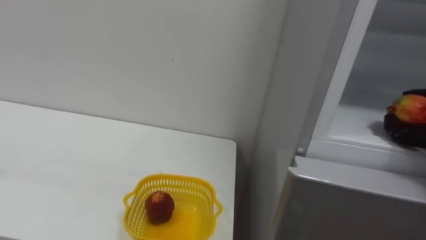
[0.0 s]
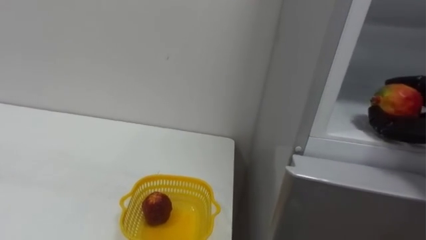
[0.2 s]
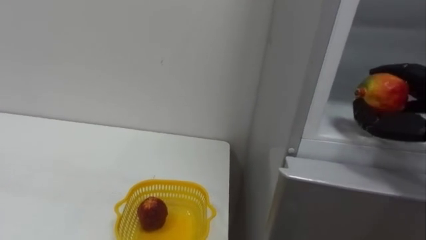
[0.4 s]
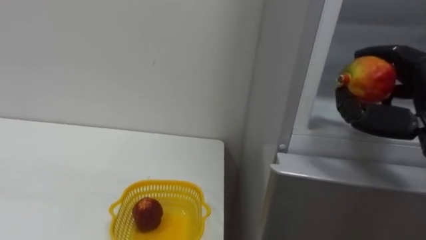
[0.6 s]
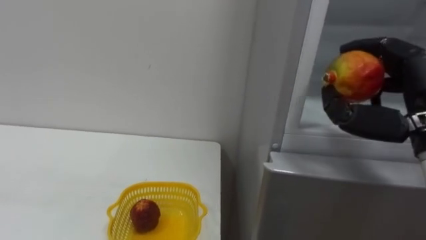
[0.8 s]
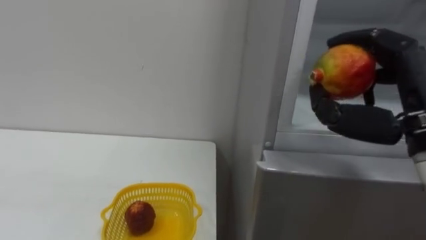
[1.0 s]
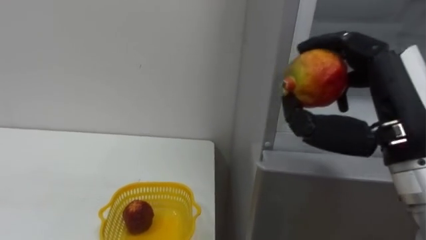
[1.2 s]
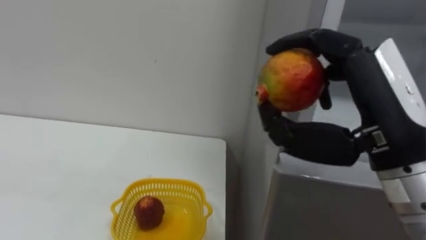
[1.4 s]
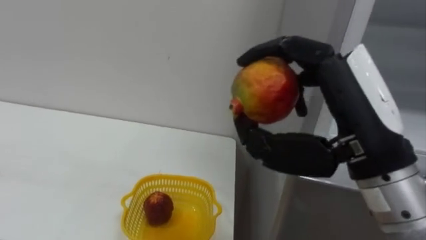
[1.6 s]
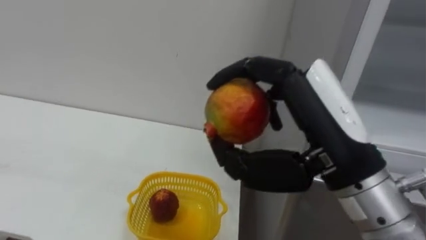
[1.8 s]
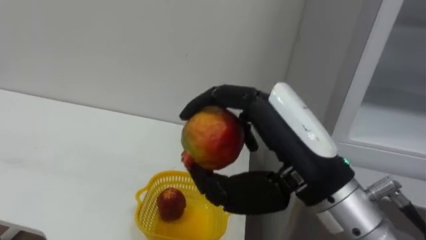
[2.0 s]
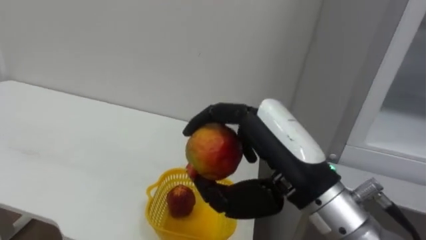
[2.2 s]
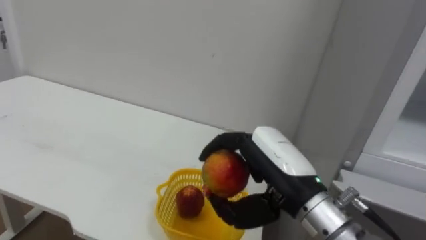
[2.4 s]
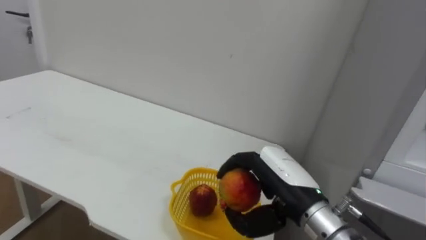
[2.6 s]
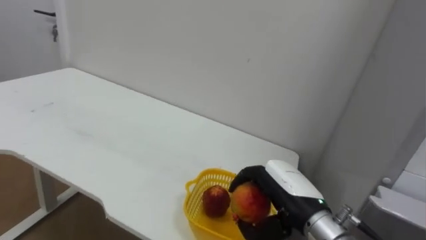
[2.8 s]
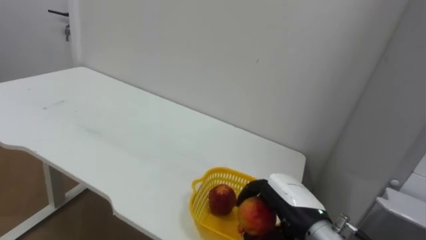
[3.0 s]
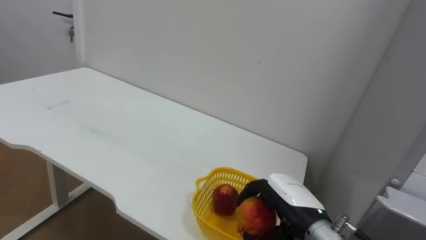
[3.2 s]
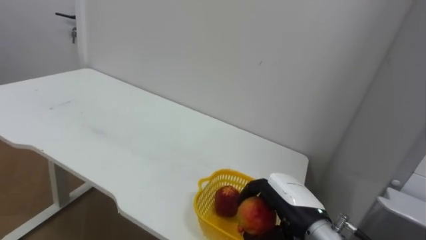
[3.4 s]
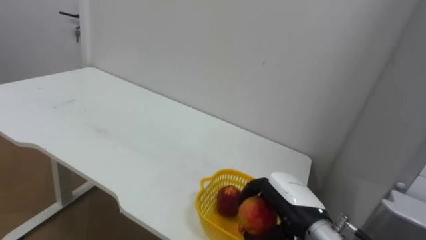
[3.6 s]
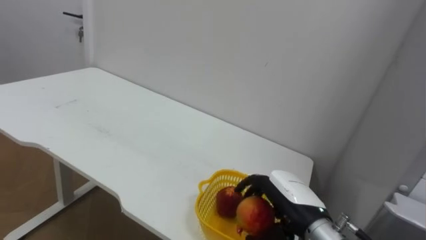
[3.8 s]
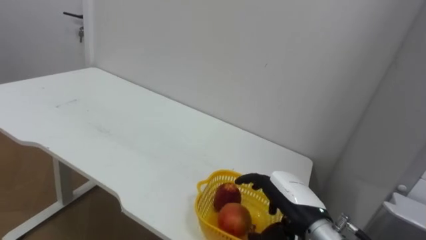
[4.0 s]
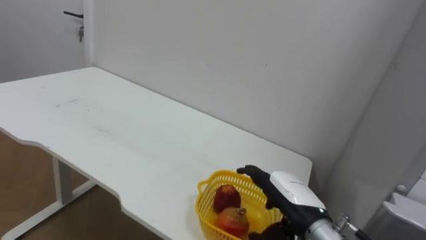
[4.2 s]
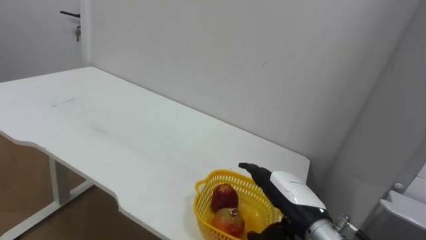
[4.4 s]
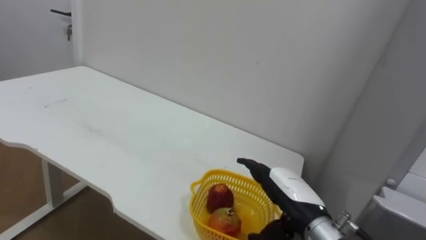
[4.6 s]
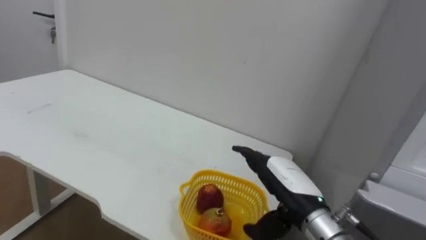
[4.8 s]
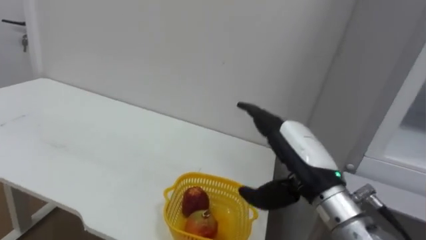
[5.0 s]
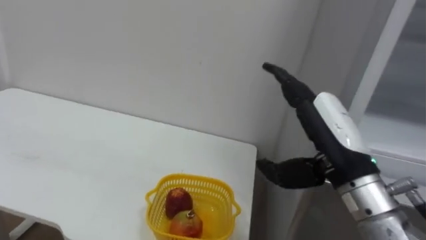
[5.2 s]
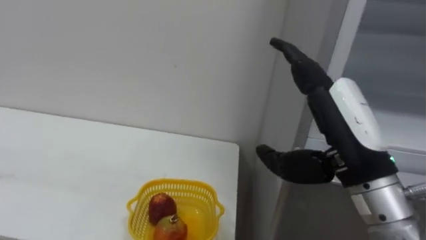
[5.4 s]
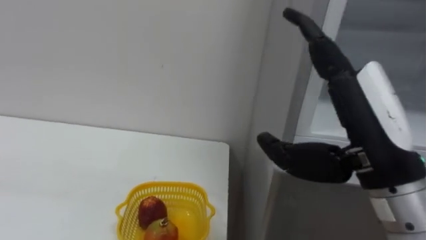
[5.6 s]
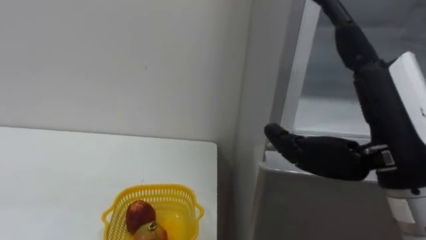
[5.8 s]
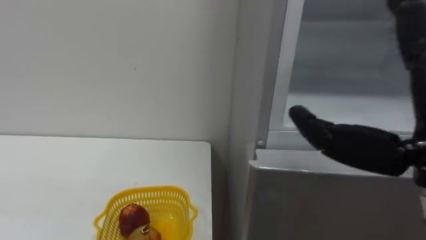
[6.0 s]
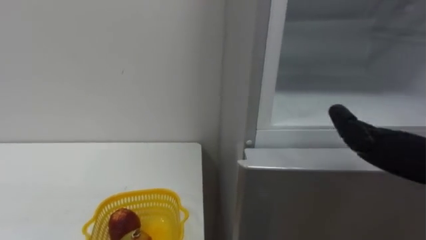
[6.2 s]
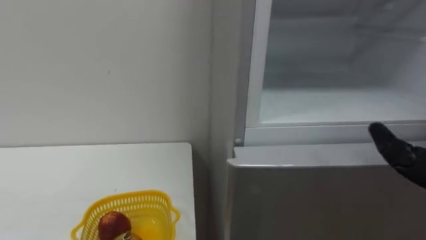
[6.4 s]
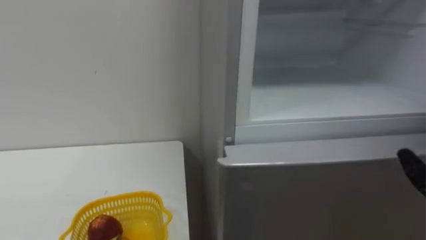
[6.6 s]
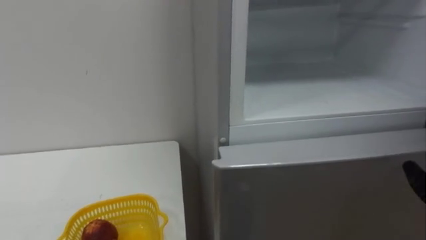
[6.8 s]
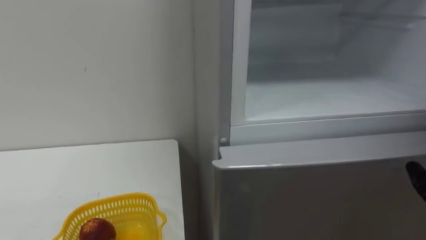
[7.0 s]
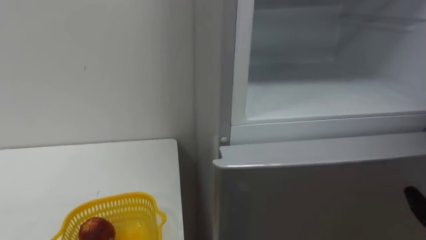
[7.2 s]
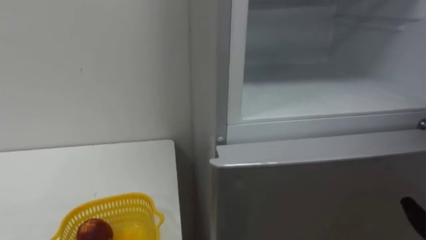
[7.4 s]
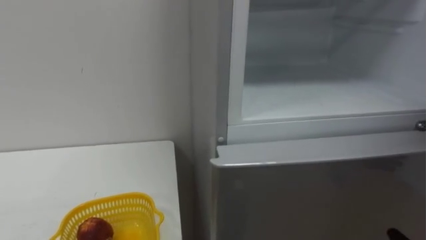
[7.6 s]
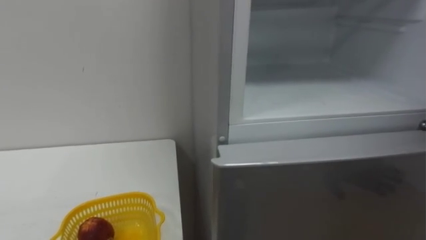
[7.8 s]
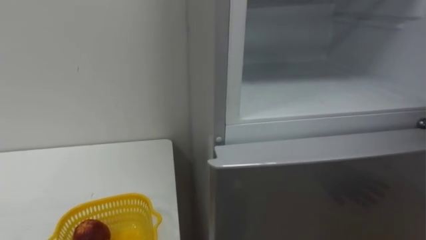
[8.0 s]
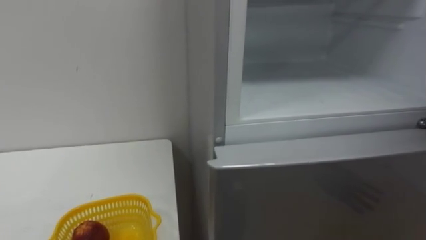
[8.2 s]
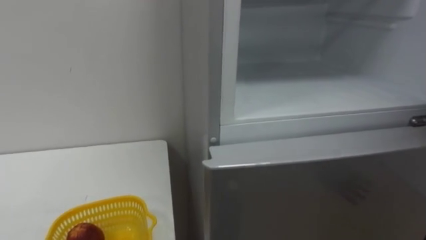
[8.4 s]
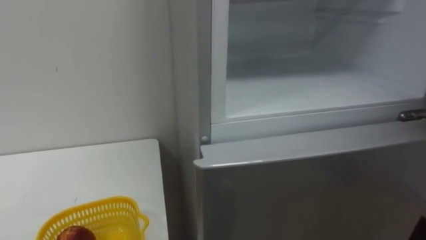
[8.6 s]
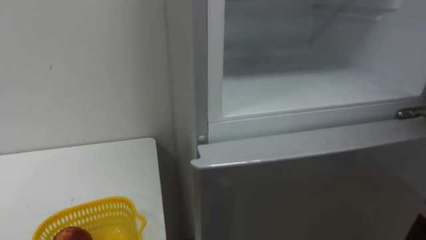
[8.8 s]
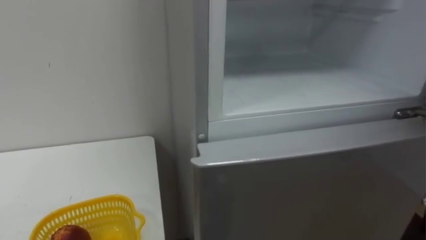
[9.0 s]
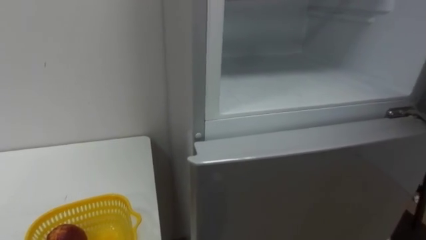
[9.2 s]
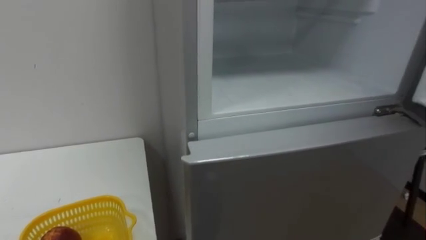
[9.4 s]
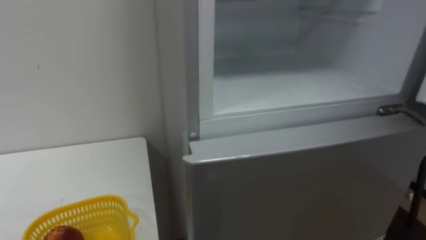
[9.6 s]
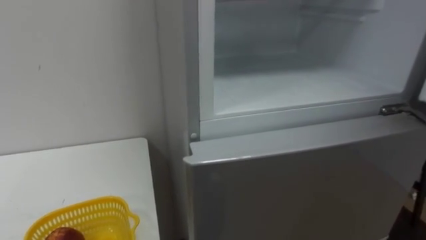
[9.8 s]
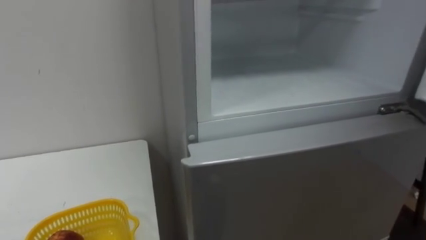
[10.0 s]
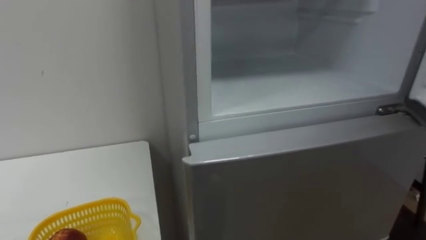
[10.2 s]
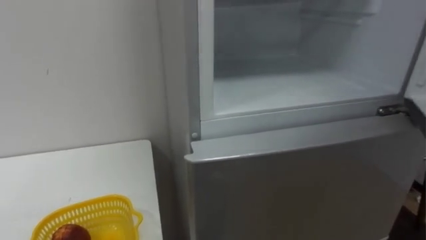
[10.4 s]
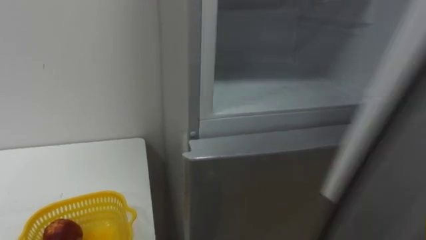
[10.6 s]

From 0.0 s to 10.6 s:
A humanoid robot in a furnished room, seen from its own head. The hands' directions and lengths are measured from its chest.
Task of the whole recording: Open the refrigerator door, take out the apple and the pomegranate, place them in the fruit basket on the left, and close the refrigerator door.
From 1.6 s to 3.0 s: The right hand travels downward by some 20 cm.
From 3.0 s to 4.6 s: The right hand opens its fingers.
From 4.6 s to 6.0 s: The right hand travels upward and backward by about 25 cm.

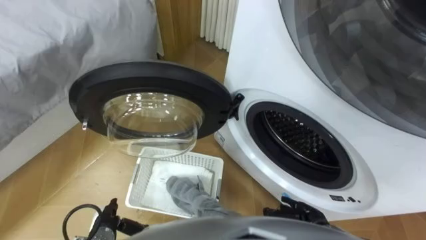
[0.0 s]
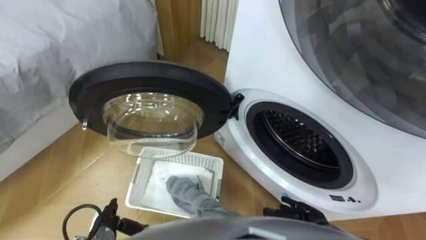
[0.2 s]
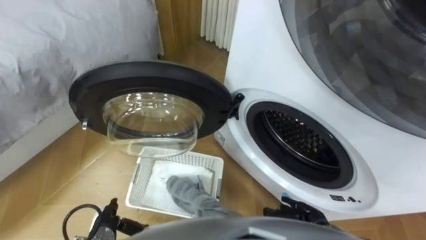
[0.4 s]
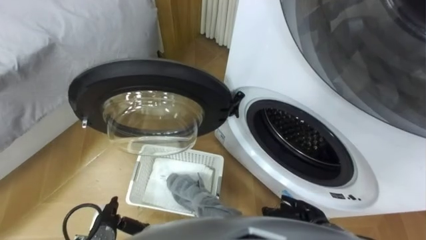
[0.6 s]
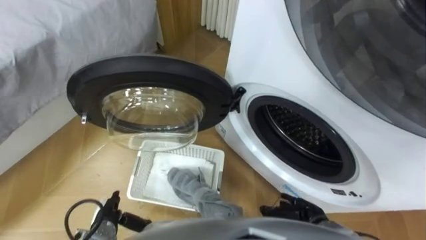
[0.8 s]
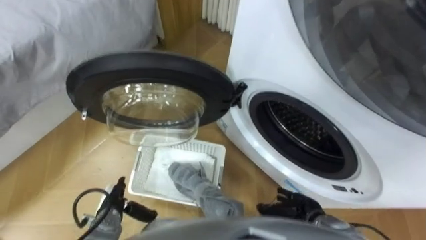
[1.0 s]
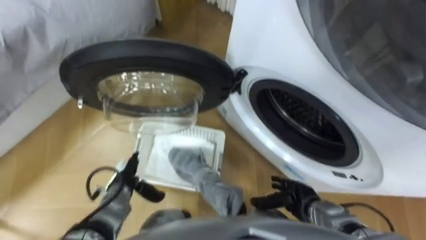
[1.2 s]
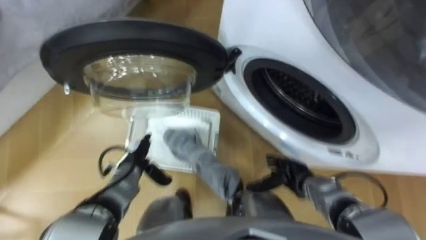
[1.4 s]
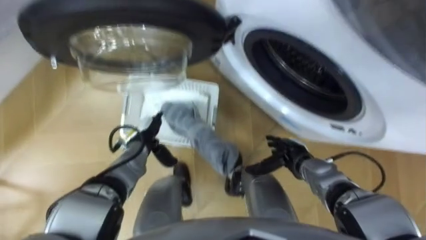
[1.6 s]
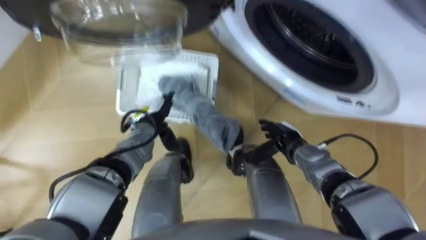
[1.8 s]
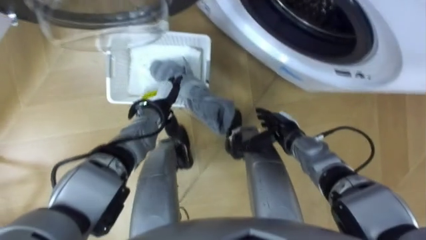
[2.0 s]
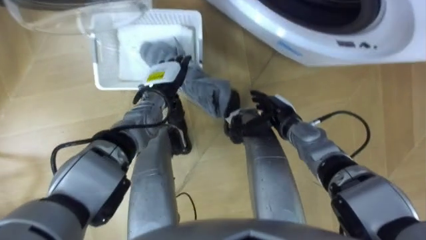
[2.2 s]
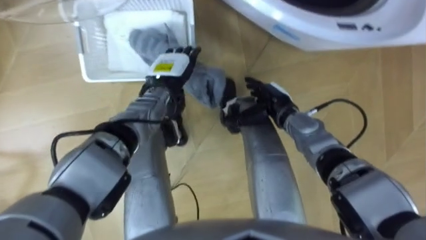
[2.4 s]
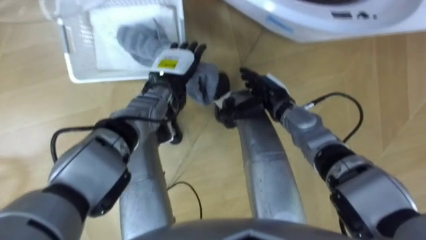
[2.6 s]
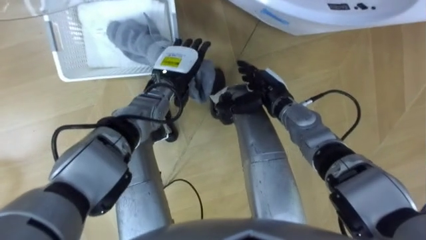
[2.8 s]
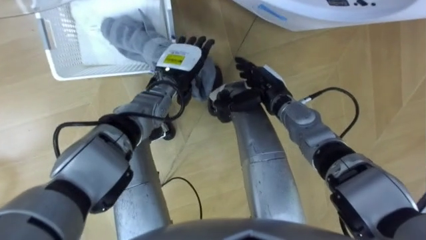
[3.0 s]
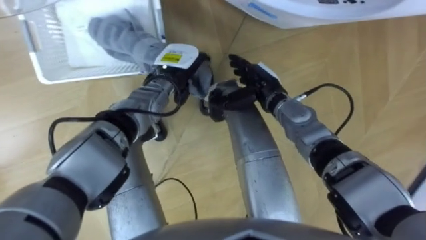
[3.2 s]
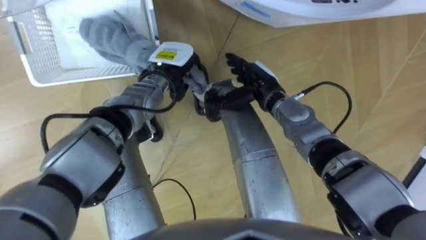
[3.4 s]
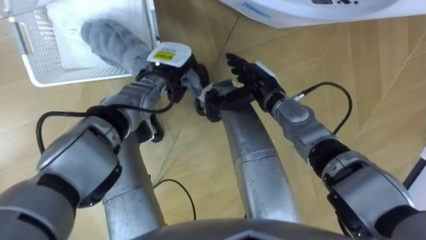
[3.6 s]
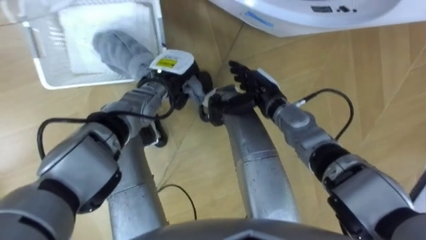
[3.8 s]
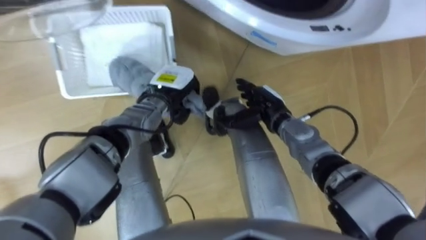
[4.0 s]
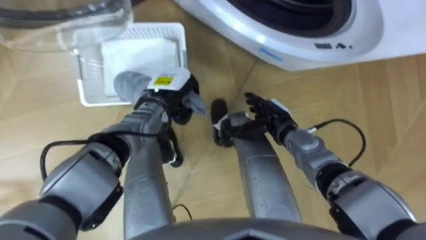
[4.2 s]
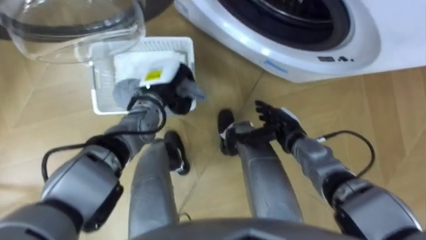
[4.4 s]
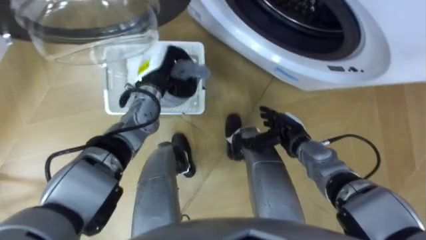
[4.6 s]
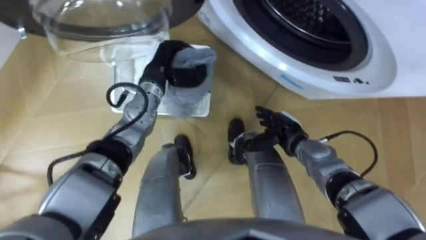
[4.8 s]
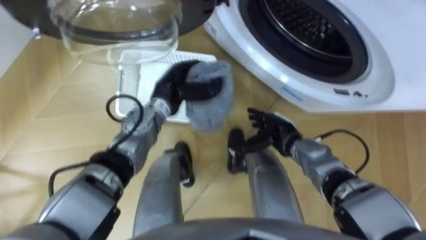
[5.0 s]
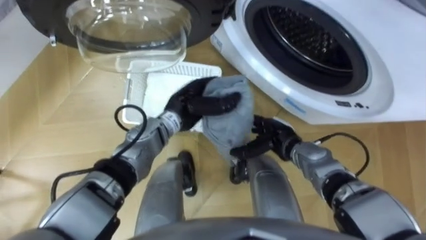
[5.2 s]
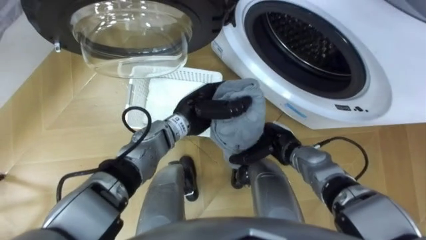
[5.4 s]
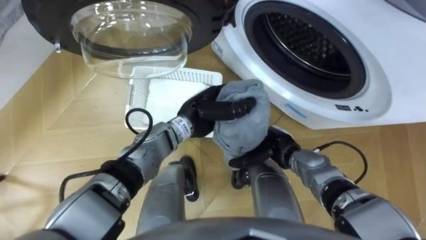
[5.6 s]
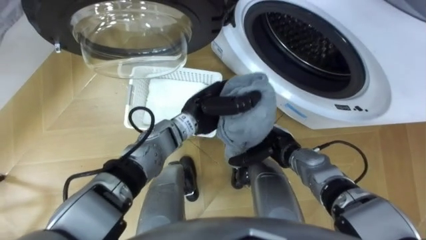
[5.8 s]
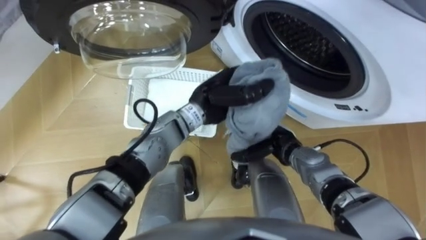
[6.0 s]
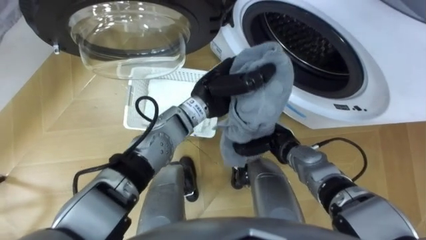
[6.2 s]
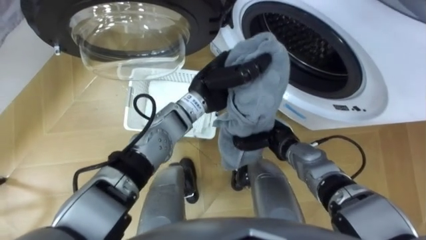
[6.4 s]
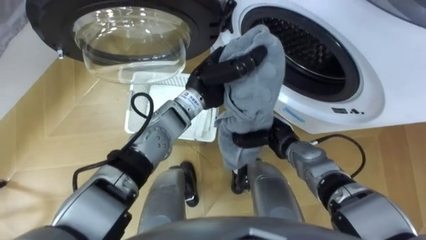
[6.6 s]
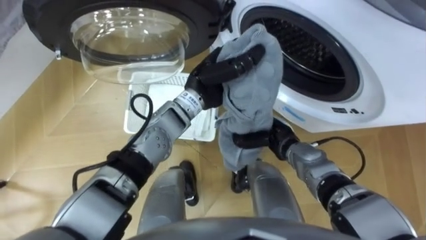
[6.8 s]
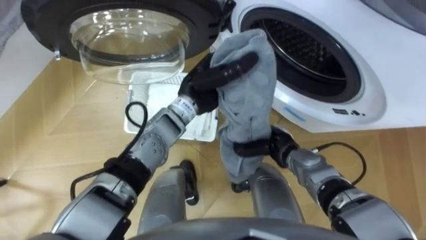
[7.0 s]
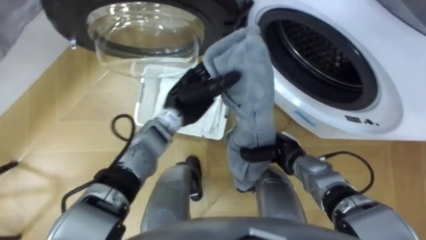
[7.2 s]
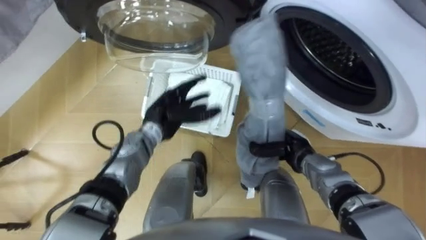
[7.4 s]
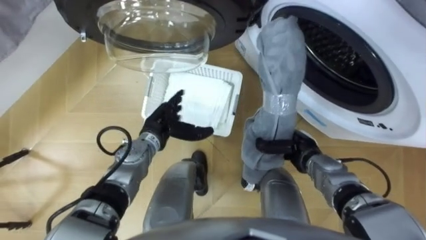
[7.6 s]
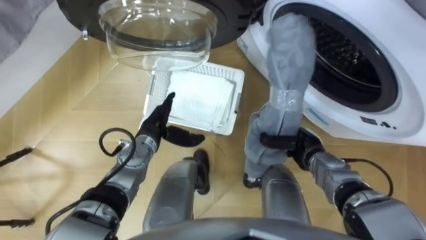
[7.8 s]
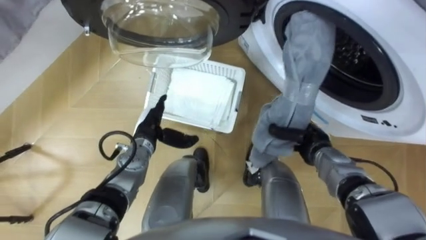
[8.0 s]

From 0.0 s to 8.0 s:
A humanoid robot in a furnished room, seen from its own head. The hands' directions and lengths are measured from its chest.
Task of the whole recording: Take the towel from the basket and put it into the washing machine.
From 1.6 s to 3.2 s: The right hand heads forward, upward and to the left, covering about 20 cm; the left hand travels upward, forward and to the right by approximately 20 cm.
From 3.2 s to 4.8 s: The left hand closes its fingers. The right hand heads downward, backward and to the right, covering about 10 cm.
From 4.8 s to 6.4 s: The right hand closes. The left hand moves to the right, approximately 10 cm.
From 6.4 s to 8.0 s: The left hand moves to the left and downward, about 20 cm, and opens its fingers. The right hand heads to the right, covering about 10 cm.
